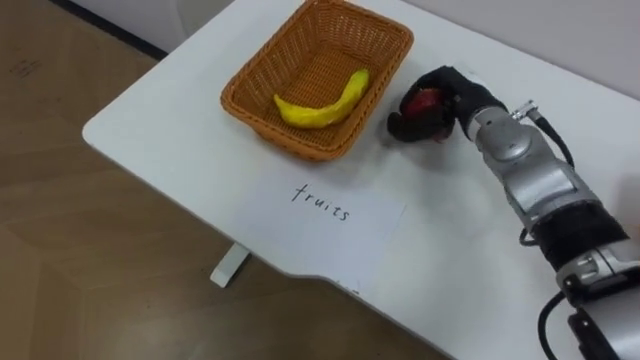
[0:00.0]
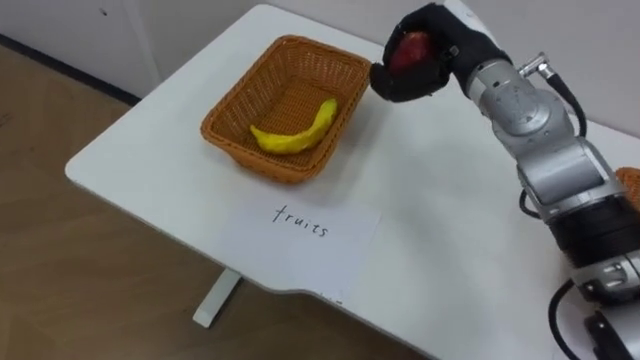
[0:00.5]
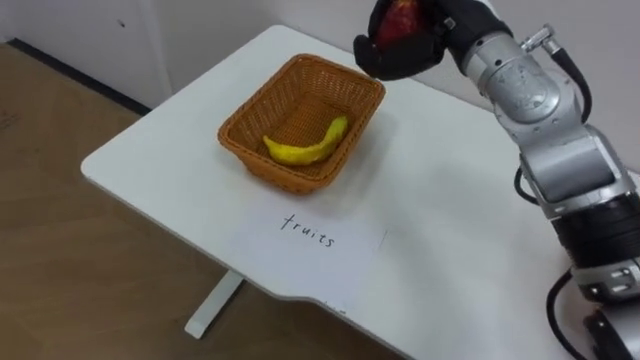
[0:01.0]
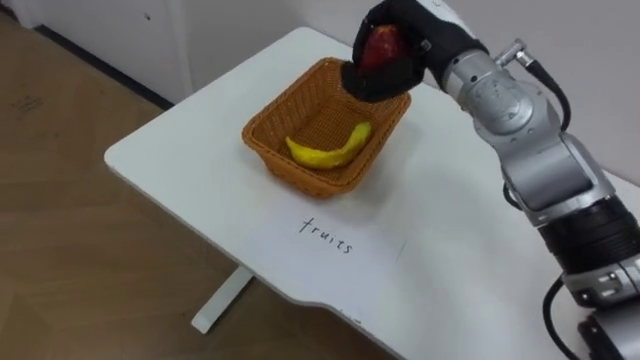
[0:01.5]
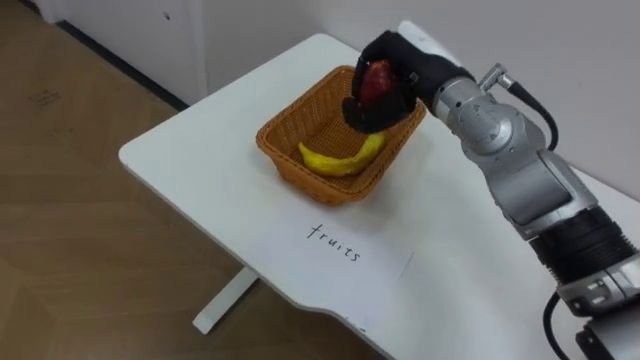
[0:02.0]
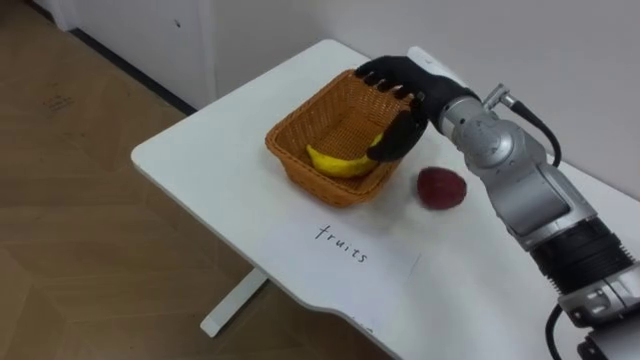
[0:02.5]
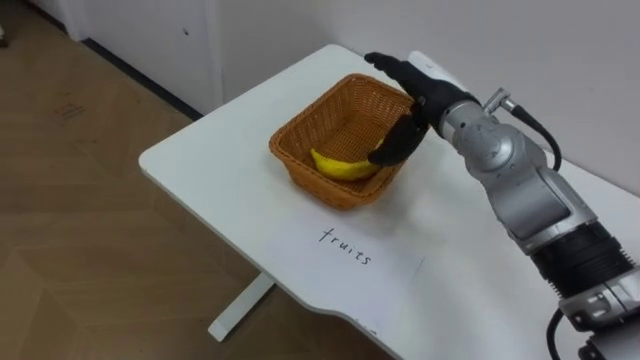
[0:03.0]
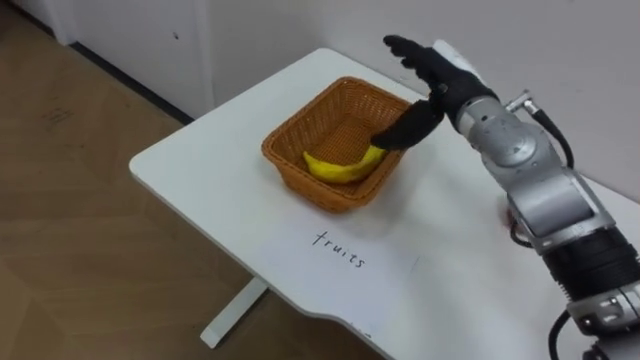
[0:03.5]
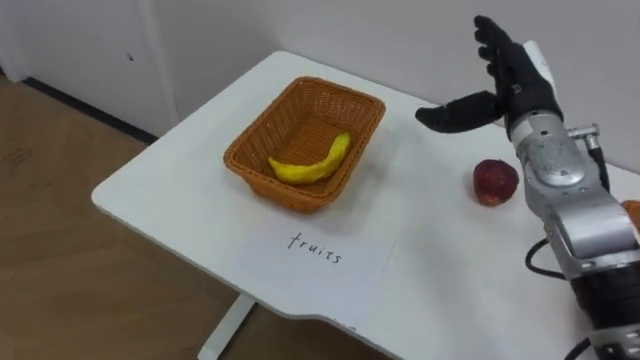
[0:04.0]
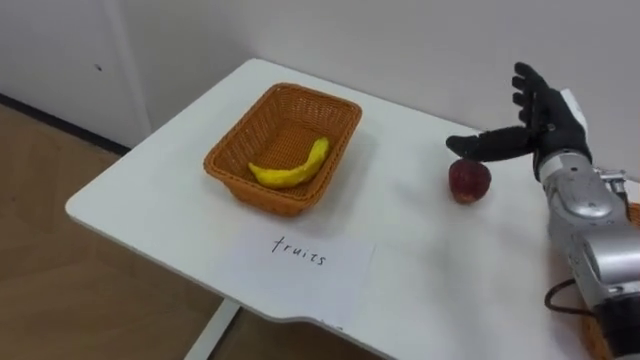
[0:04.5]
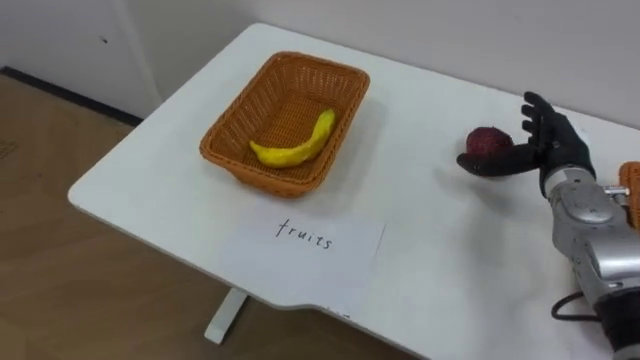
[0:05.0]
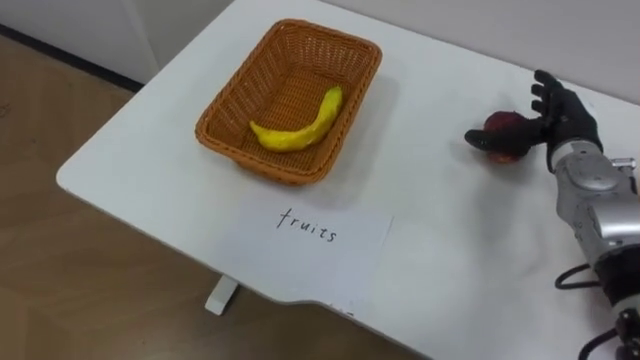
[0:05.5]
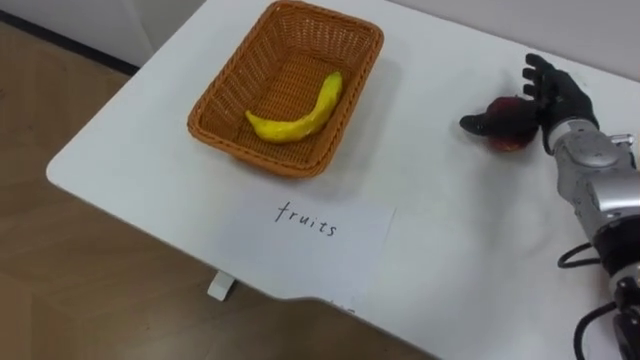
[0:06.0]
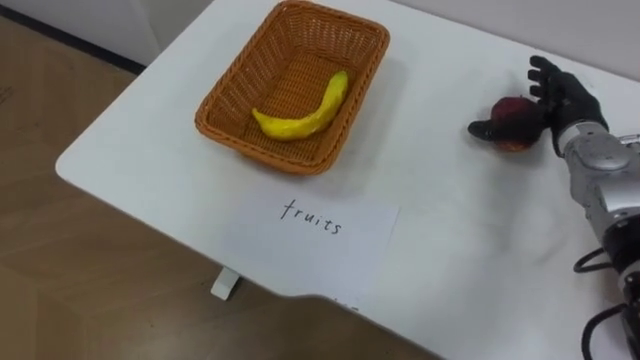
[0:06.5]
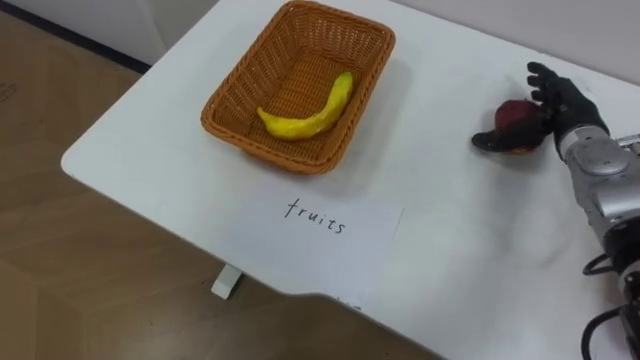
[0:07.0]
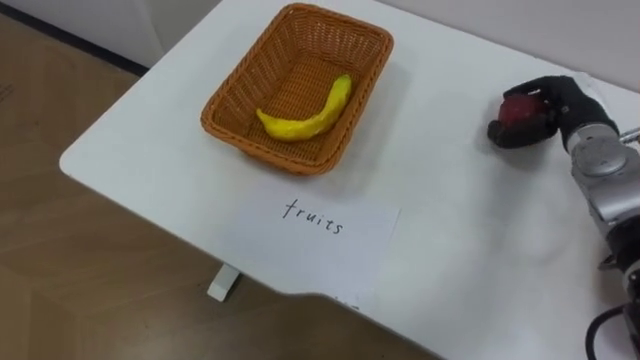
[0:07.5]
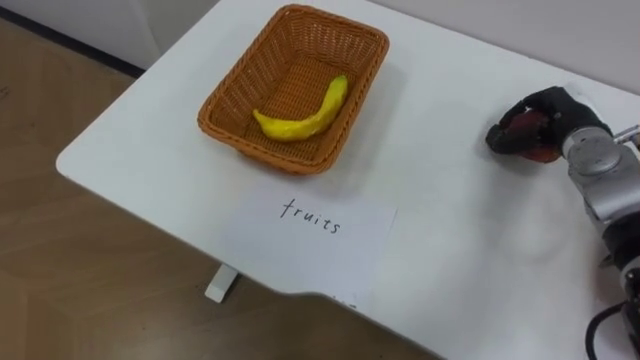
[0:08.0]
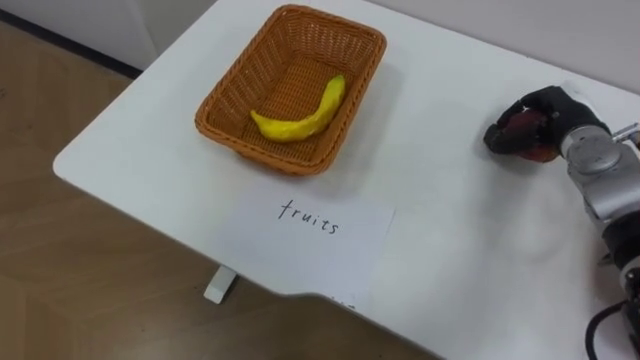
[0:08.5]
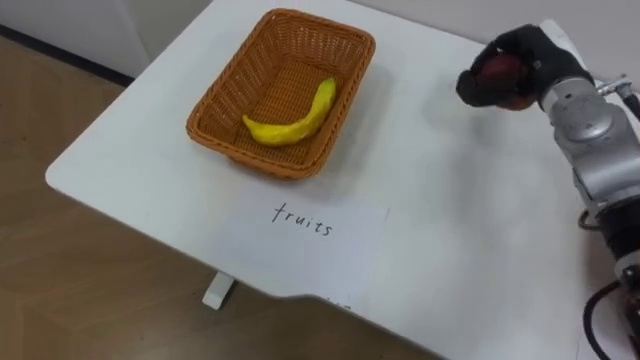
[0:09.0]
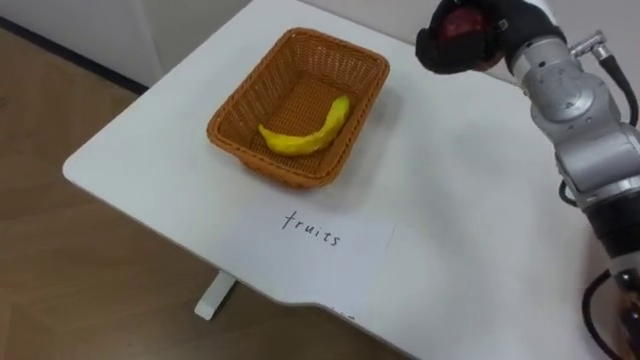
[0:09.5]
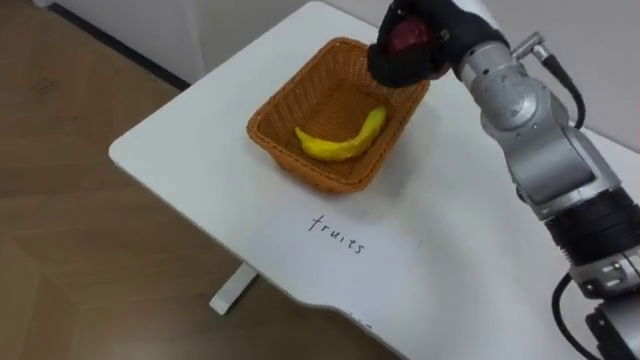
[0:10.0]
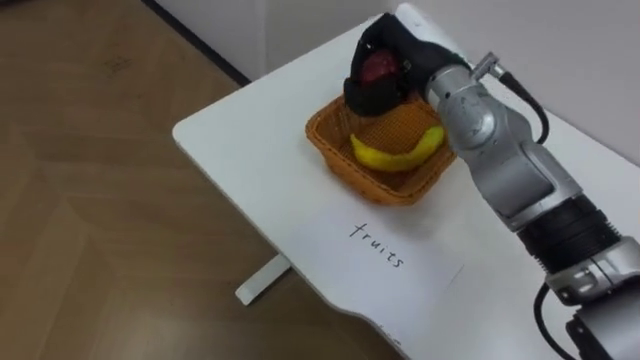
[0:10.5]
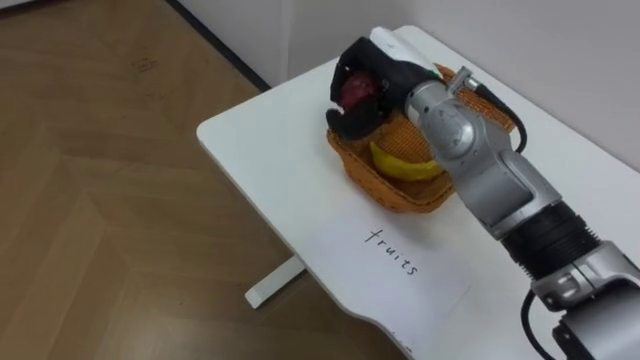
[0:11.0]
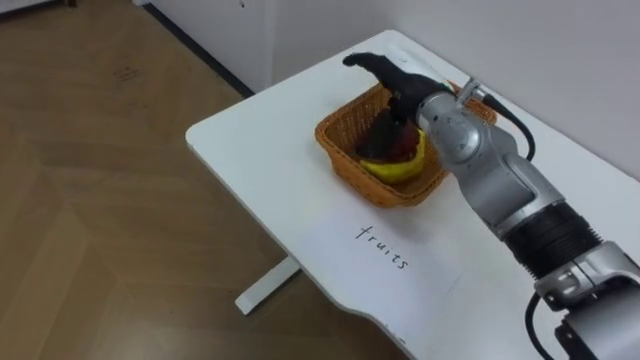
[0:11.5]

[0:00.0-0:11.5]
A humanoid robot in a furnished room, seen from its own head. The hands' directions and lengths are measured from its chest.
Task of the whole recording: Separate the items on the table and place them into the two baskets.
0:00.0 to 0:02.0: The right hand goes approximately 10 cm upward and to the left.
0:02.0 to 0:04.0: The right hand heads to the right, covering roughly 10 cm, and opens its fingers.
0:04.0 to 0:06.0: The right hand travels to the right by roughly 5 cm.
0:06.0 to 0:07.5: The right hand closes.
0:07.5 to 0:09.5: The right hand is displaced upward and to the left by approximately 15 cm.

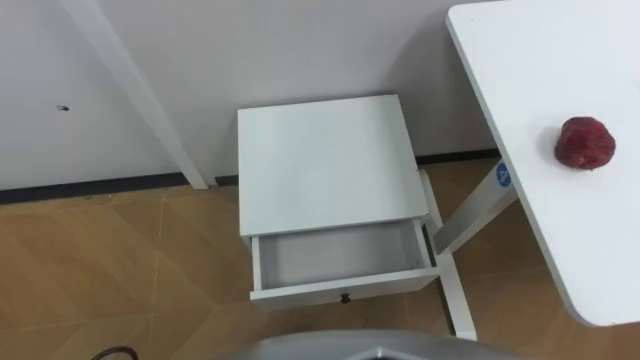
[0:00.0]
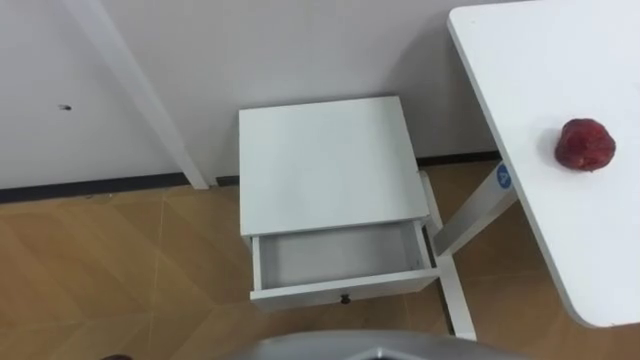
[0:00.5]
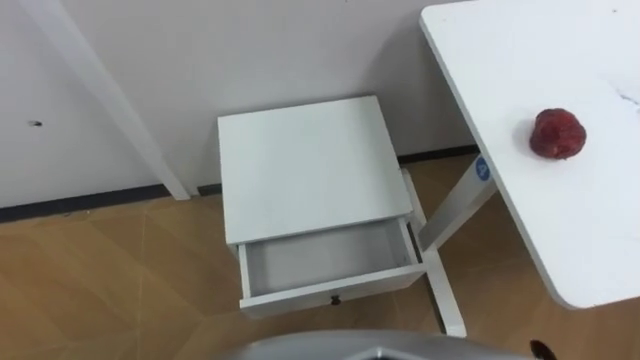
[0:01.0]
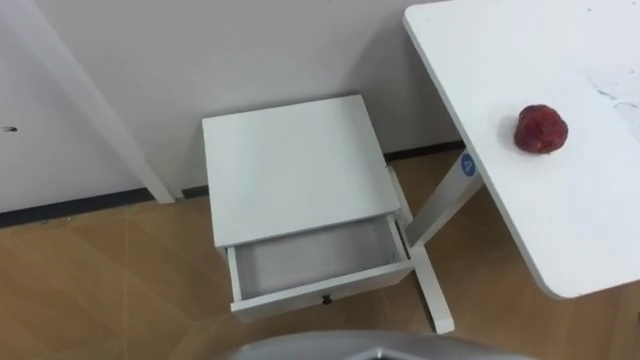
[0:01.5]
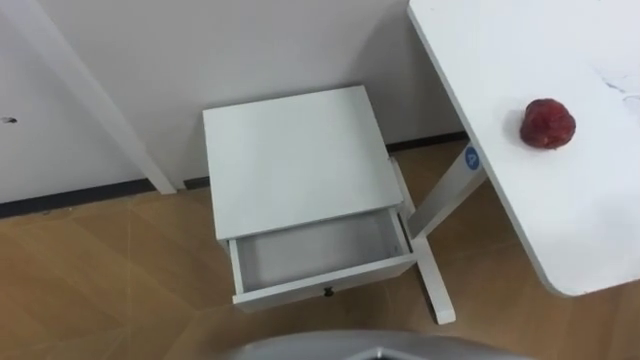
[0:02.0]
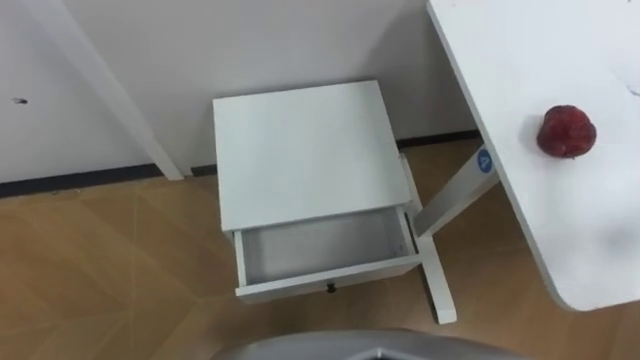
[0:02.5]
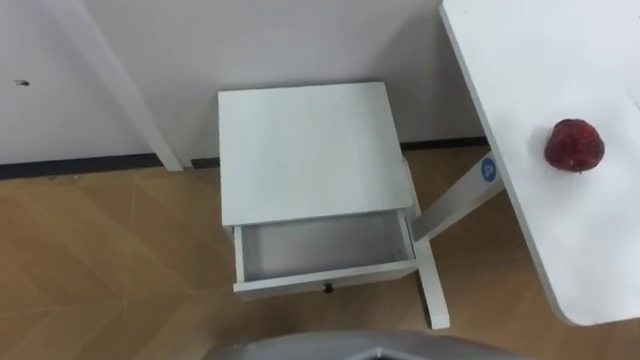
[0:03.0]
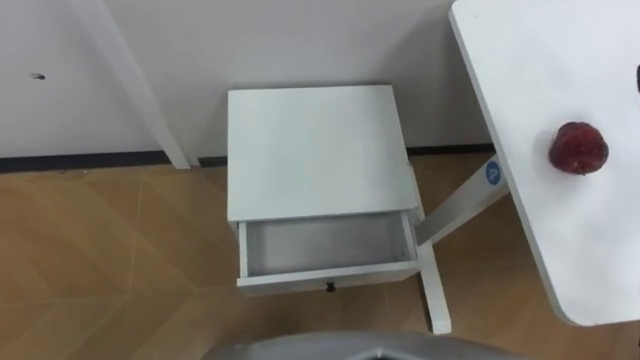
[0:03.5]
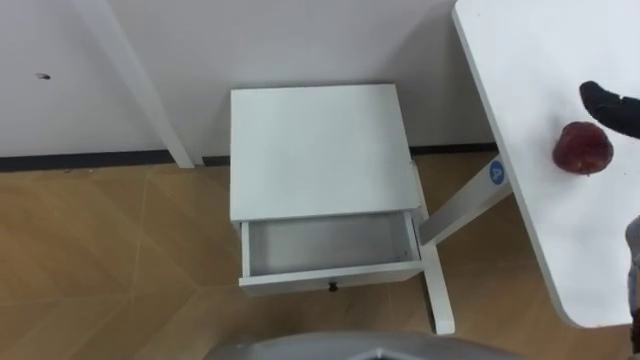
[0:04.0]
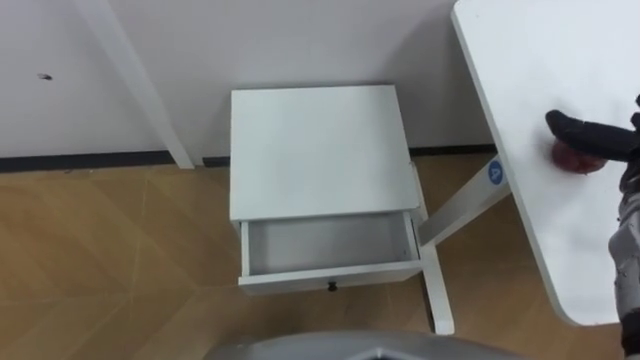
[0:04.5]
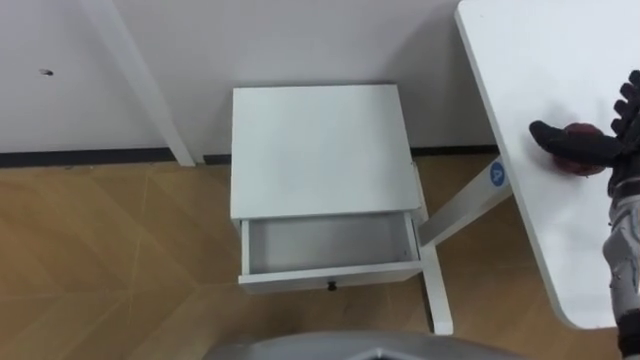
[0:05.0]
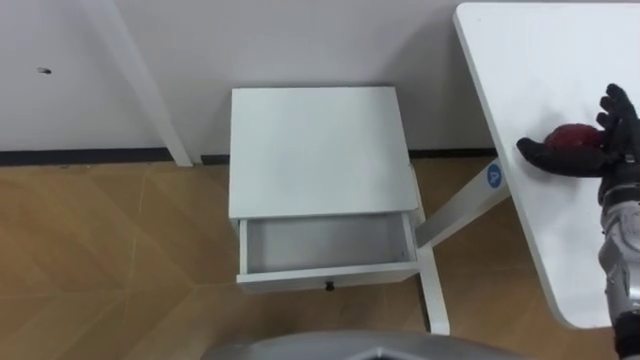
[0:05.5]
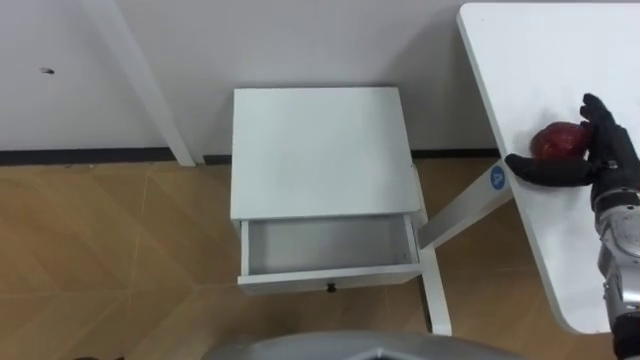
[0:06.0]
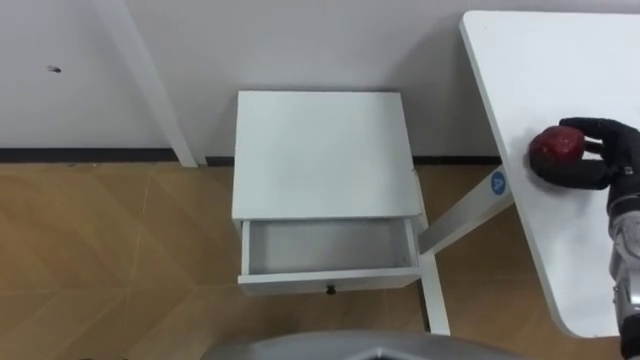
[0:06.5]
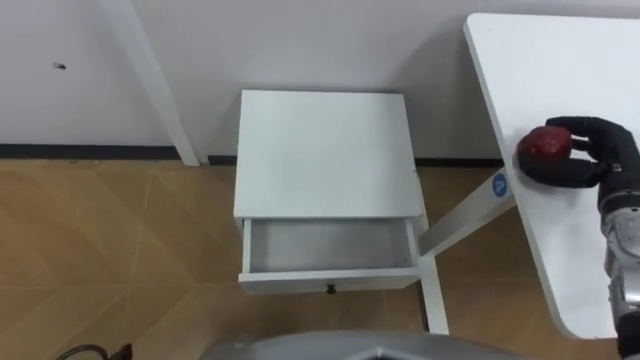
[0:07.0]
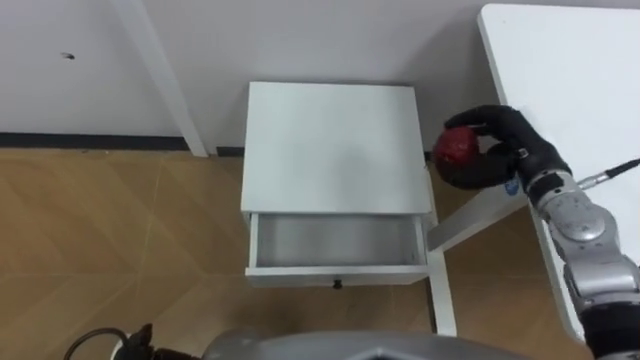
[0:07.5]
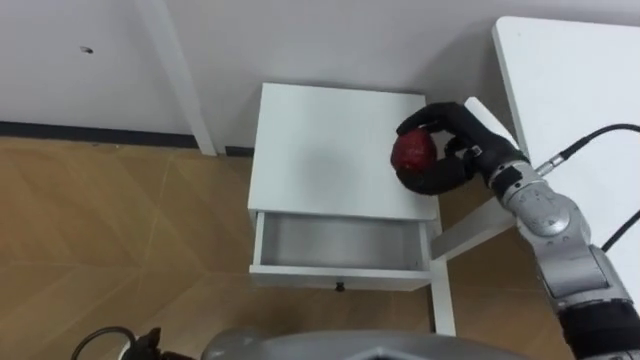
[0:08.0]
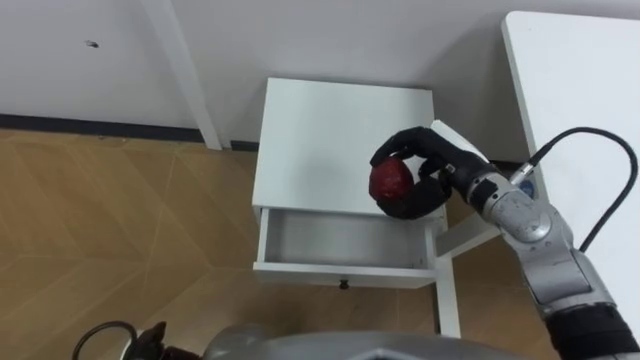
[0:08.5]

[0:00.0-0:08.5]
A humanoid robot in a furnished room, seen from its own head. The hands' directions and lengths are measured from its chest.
Task of the whole recording: Pick up the apple from the table, put it in the drawer, and close the drawer with leg.
0:06.5 to 0:08.5: The right hand travels to the left by approximately 20 cm.
